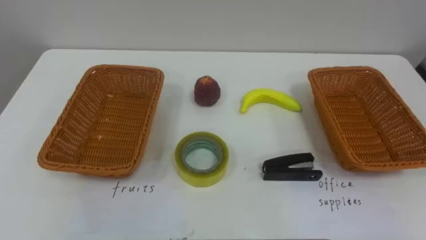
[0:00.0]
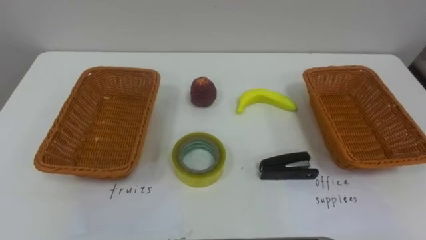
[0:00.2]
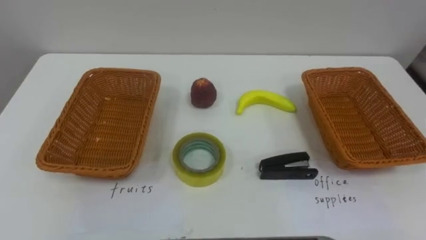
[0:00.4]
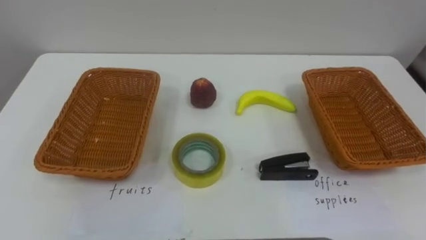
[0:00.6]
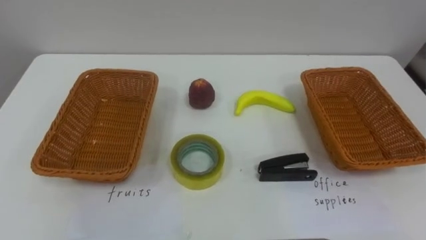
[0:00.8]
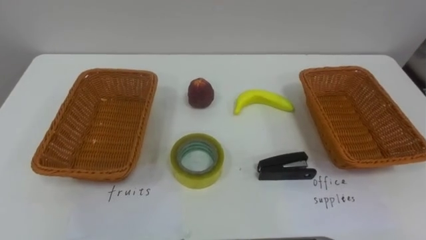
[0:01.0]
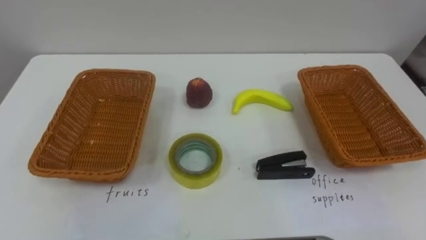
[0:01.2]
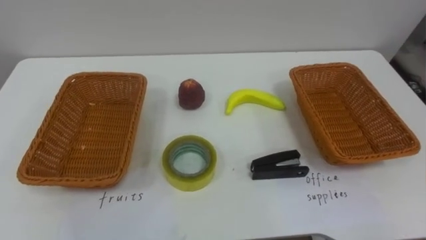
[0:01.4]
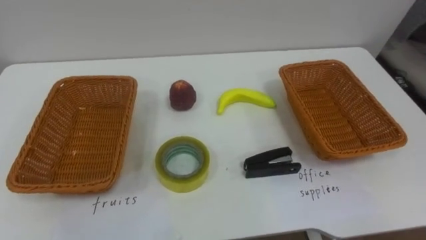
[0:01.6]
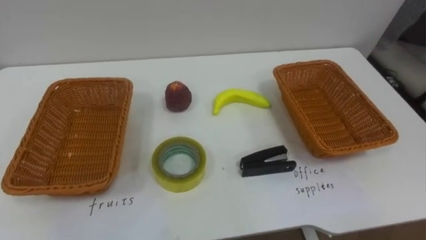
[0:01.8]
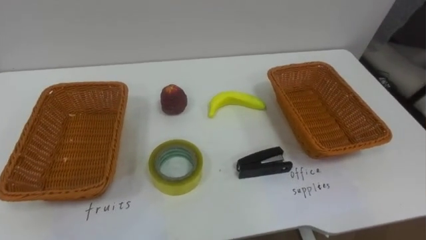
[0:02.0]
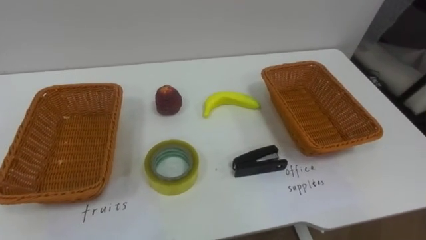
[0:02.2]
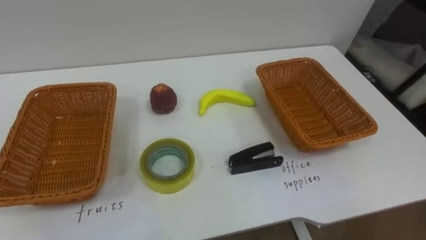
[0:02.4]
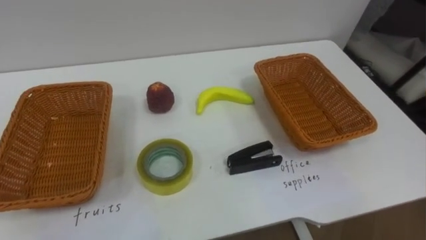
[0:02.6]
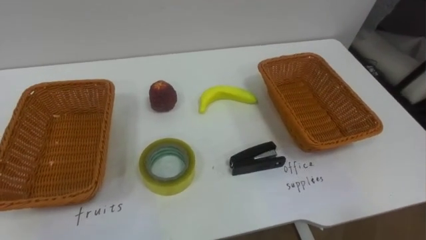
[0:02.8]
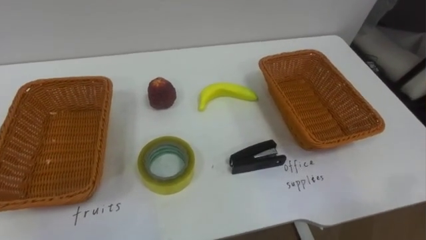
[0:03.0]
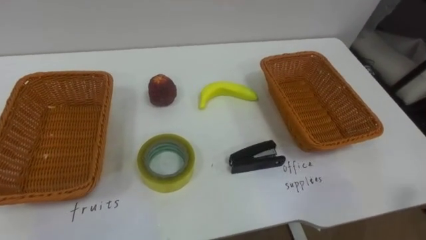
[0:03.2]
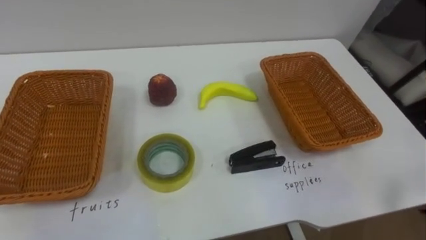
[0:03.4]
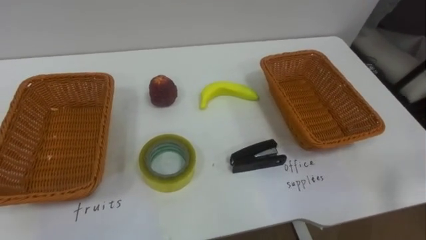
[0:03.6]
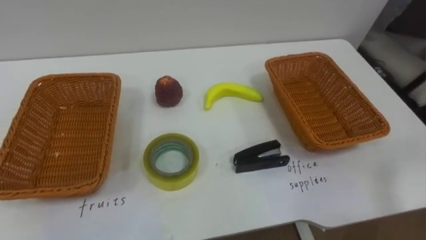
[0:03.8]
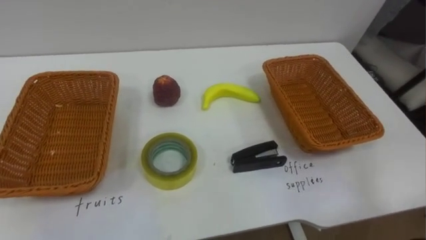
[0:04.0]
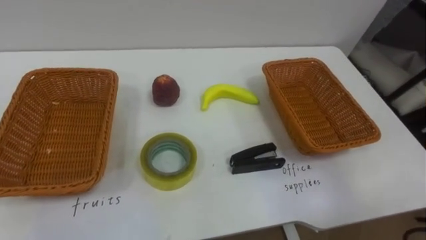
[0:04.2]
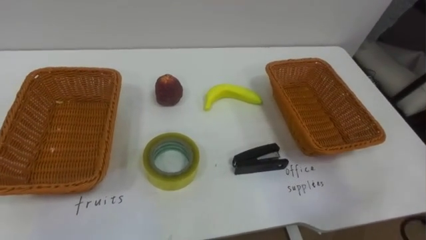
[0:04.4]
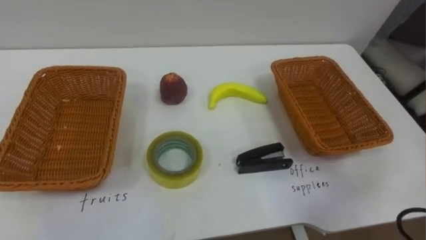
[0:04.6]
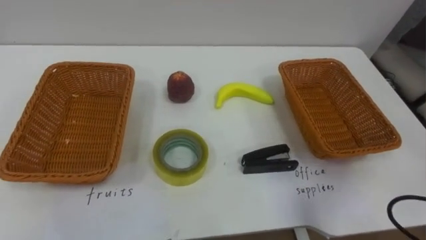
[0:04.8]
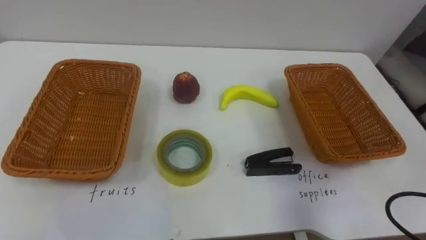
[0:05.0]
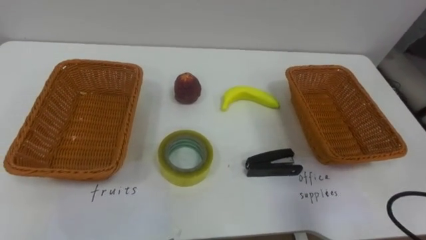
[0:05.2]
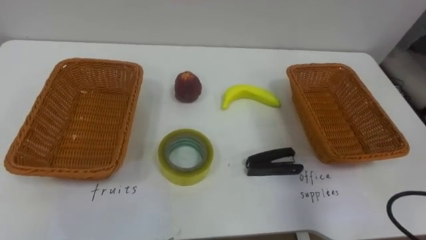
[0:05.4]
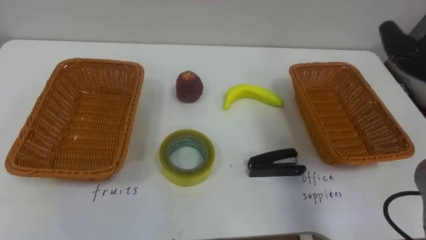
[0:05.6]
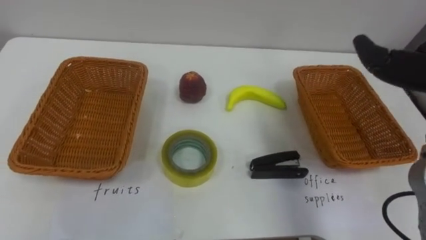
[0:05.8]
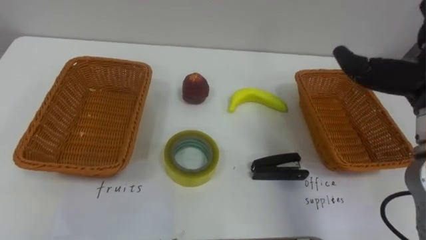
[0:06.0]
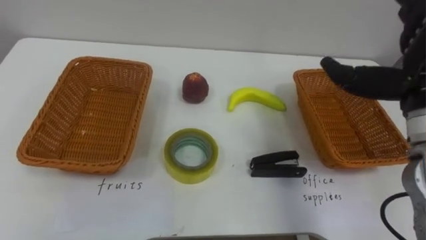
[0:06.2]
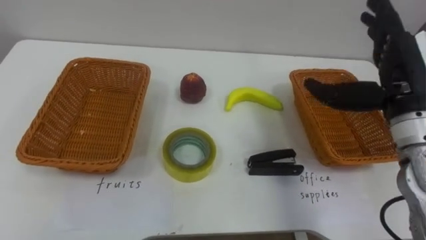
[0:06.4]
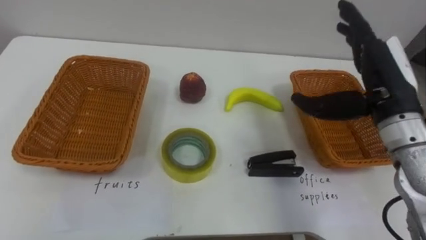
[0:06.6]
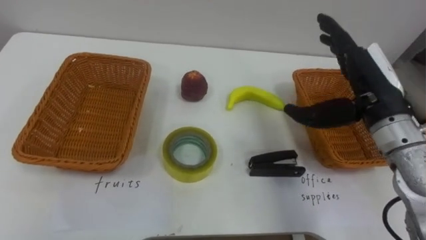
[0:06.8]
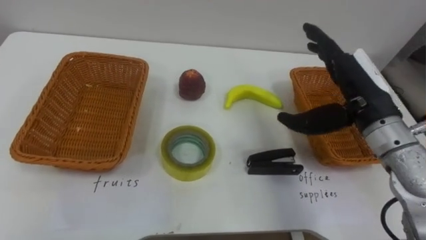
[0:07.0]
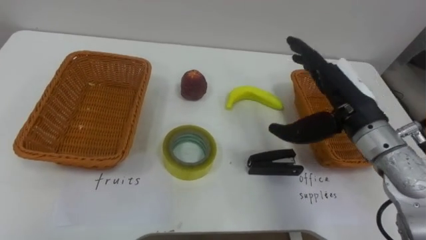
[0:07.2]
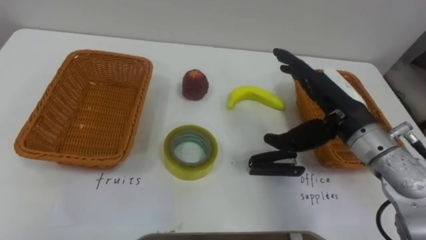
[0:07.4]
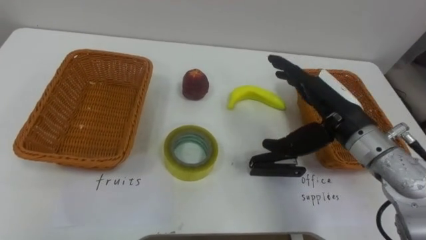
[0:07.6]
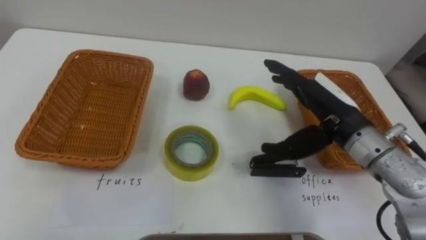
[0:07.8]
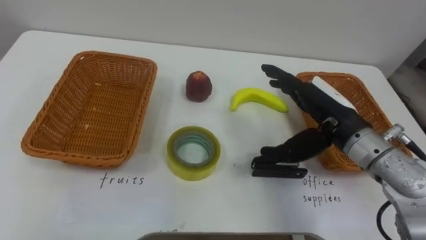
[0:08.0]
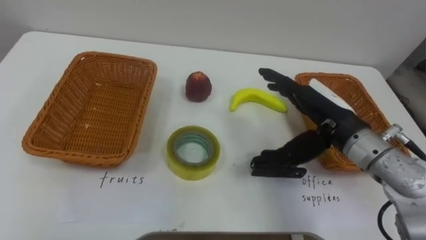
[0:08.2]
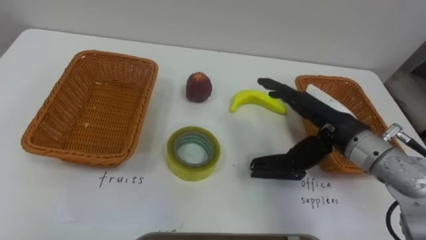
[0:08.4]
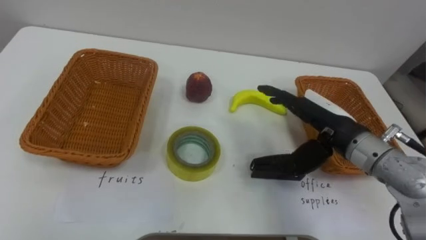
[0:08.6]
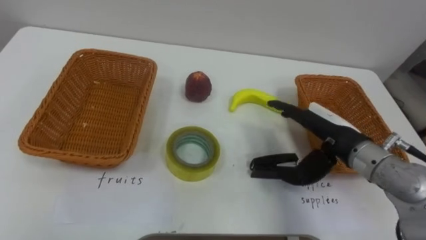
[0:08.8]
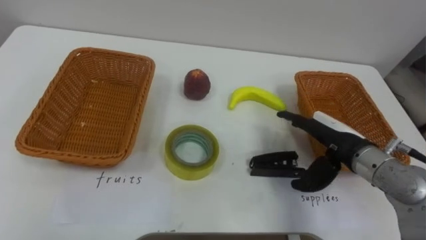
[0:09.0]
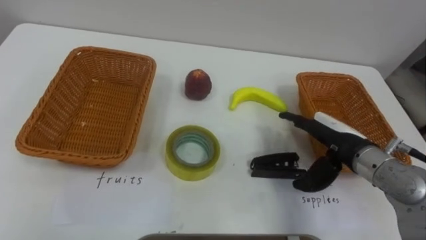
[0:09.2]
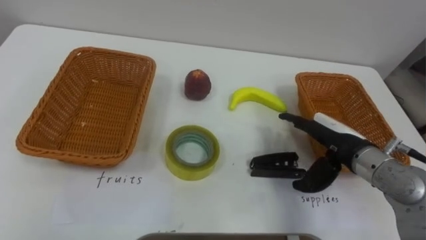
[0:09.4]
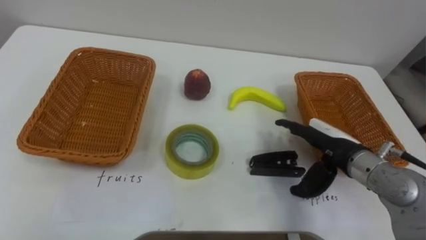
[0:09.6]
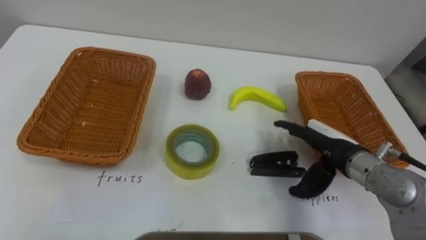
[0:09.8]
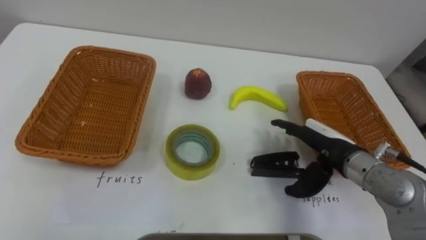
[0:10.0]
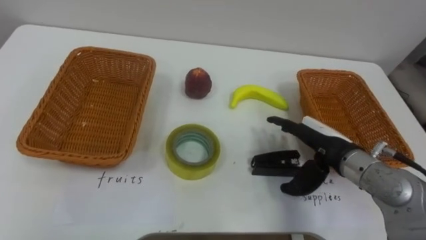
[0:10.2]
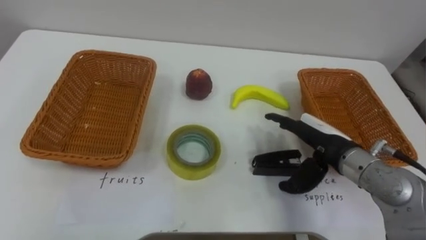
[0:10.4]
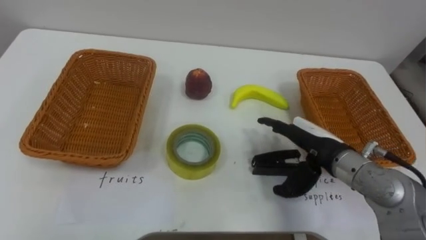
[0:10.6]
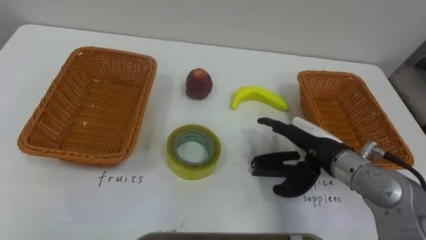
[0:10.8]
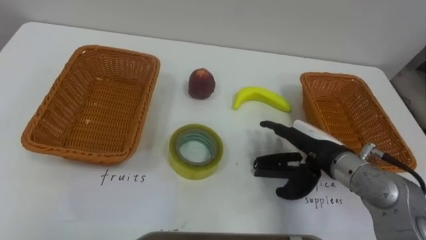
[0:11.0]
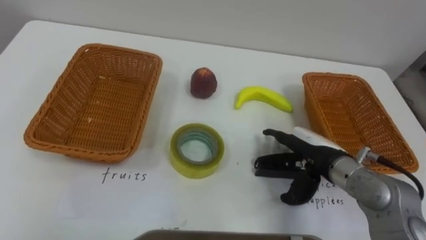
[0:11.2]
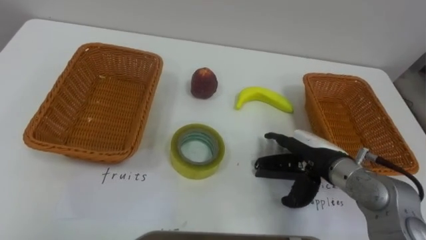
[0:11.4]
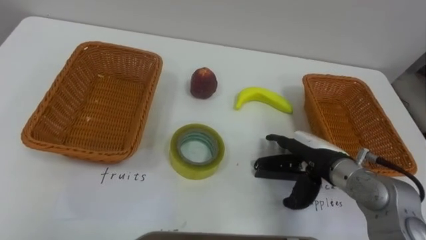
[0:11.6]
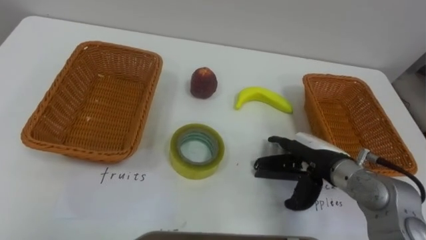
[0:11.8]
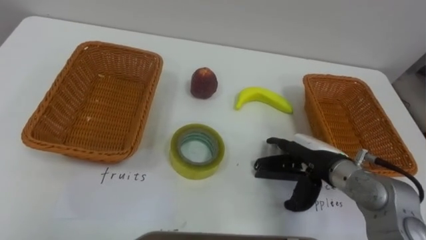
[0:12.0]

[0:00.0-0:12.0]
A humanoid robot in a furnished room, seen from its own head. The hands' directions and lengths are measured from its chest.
Task of the whole recording: Separate the items on the table and place them into the two baskets.
0:07.6 to 0:09.0: The right hand travels downward by some 5 cm.

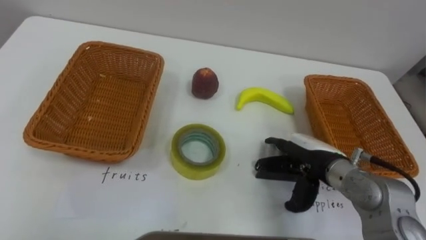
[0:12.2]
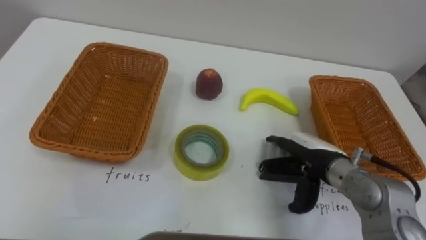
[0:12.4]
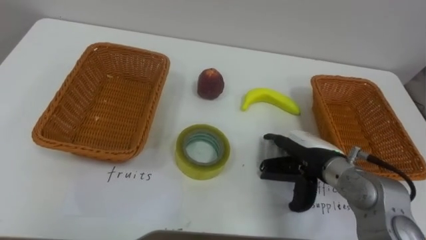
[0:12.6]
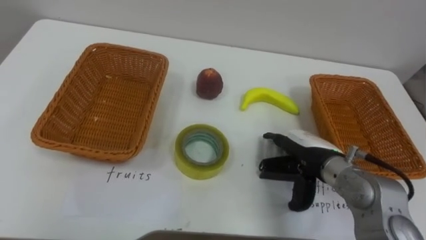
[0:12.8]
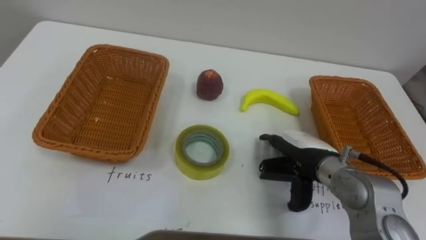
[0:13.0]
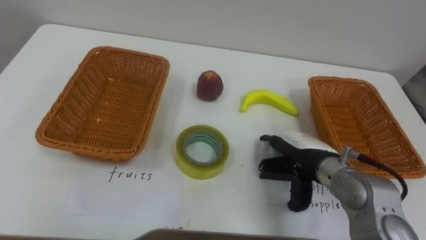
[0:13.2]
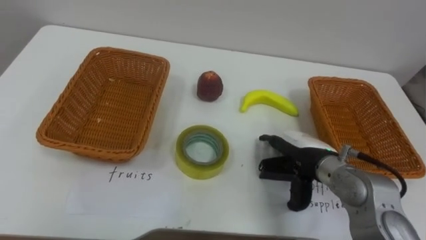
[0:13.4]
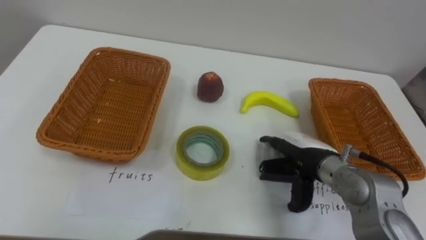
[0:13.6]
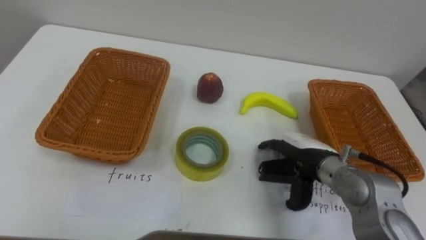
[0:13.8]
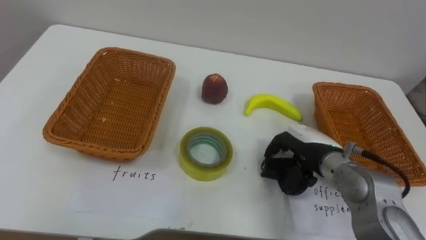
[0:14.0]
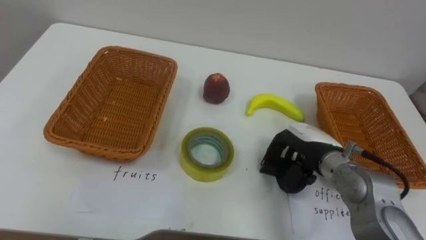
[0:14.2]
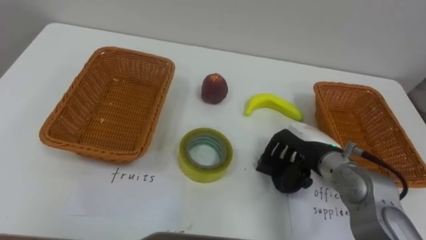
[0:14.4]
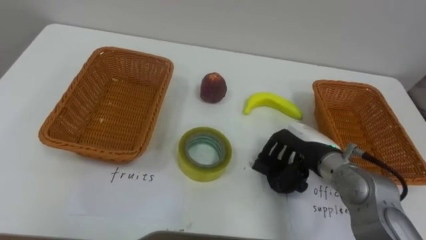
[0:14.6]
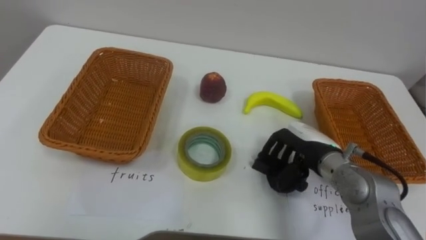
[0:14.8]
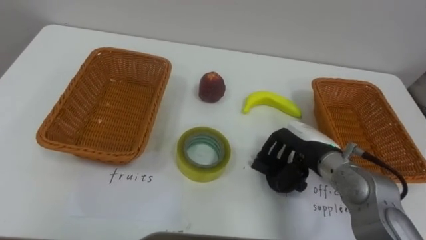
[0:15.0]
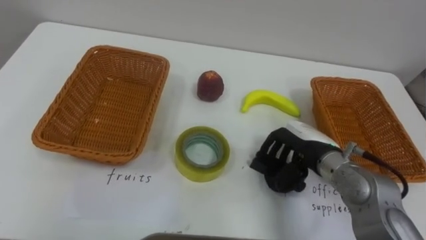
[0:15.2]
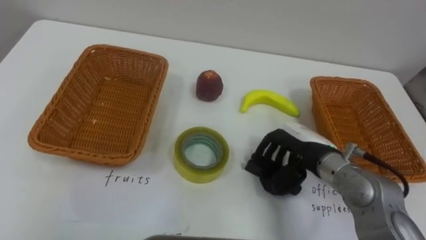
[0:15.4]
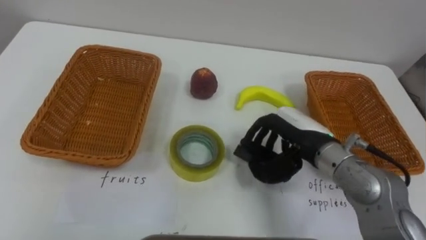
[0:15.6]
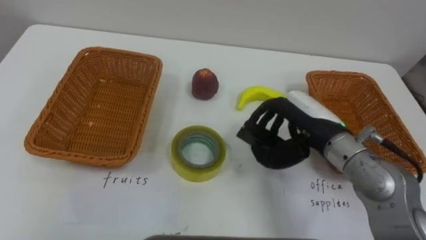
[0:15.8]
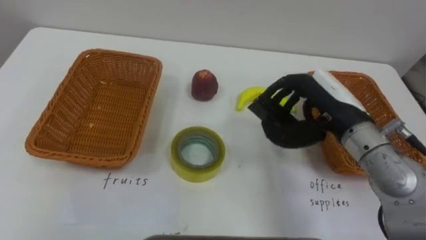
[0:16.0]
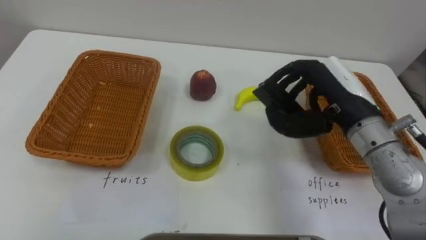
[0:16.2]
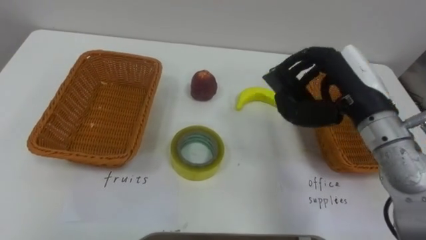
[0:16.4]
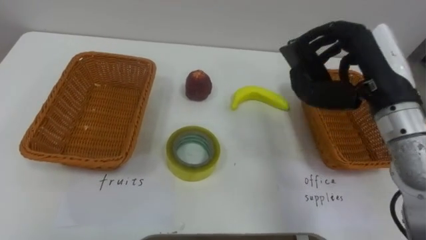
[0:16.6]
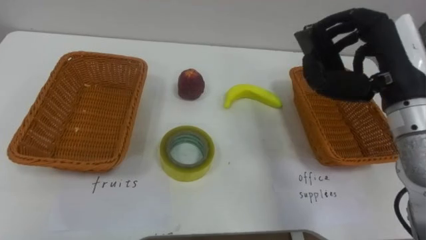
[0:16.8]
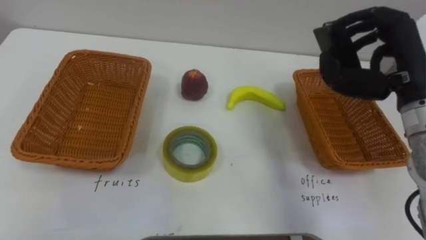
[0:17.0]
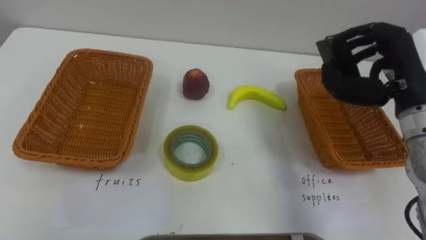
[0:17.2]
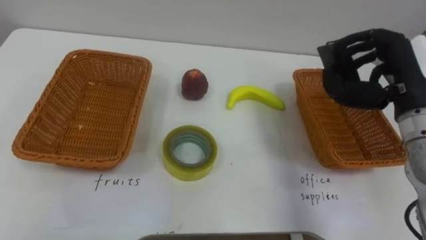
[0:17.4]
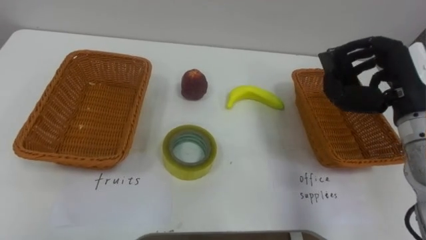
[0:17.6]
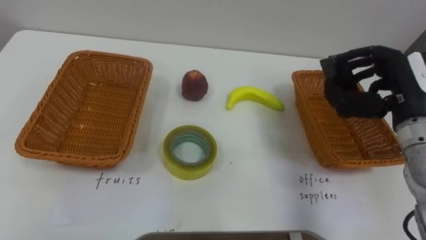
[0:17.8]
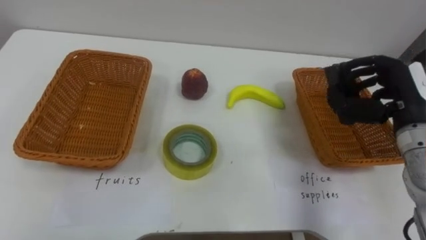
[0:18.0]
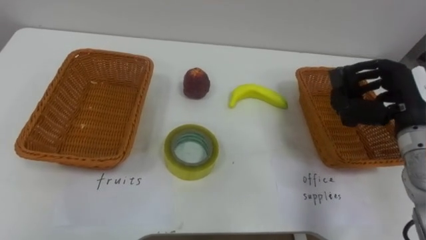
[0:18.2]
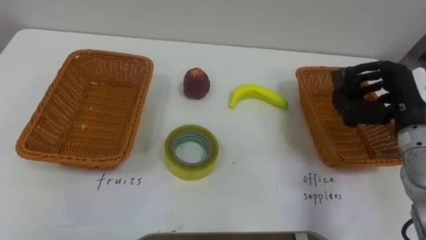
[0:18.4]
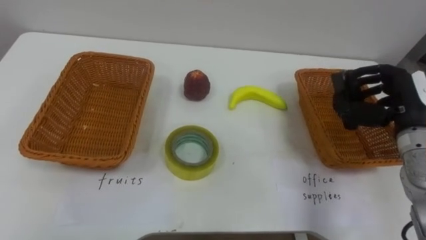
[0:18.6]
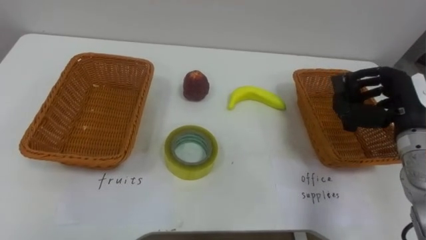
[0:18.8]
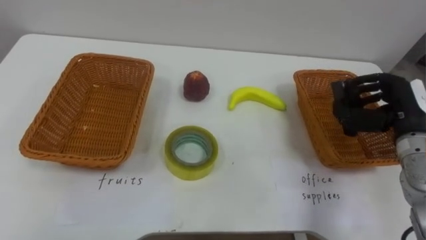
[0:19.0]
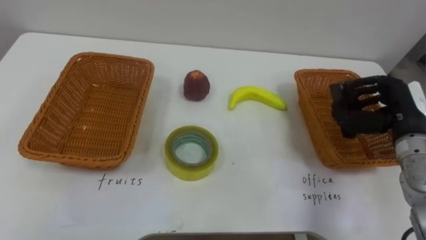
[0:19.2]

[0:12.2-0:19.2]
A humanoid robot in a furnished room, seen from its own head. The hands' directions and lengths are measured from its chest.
Task of the whole recording: Separate the items on the table and place them into the two baskets.
0:13.6 to 0:15.0: The right hand closes up.
0:15.0 to 0:16.4: The right hand heads upward, covering approximately 15 cm.
0:16.4 to 0:17.8: The right hand travels to the right by roughly 10 cm.
0:17.8 to 0:19.2: The right hand goes roughly 5 cm downward.
